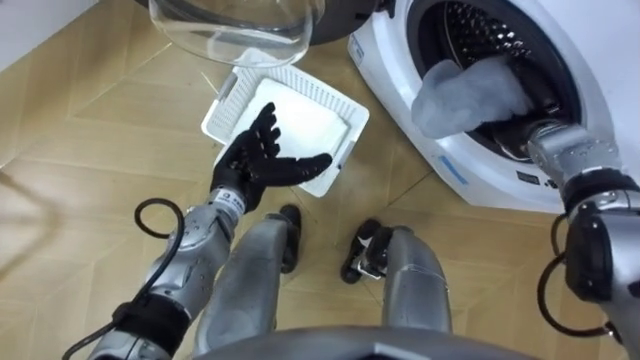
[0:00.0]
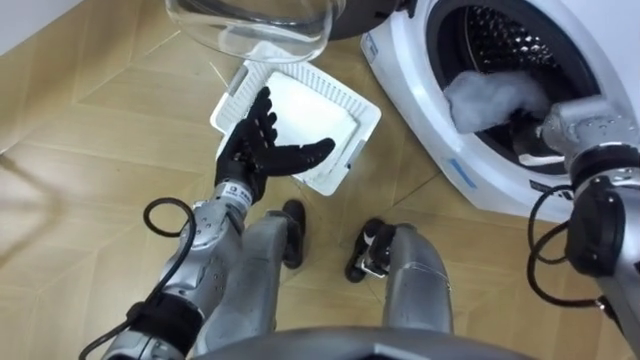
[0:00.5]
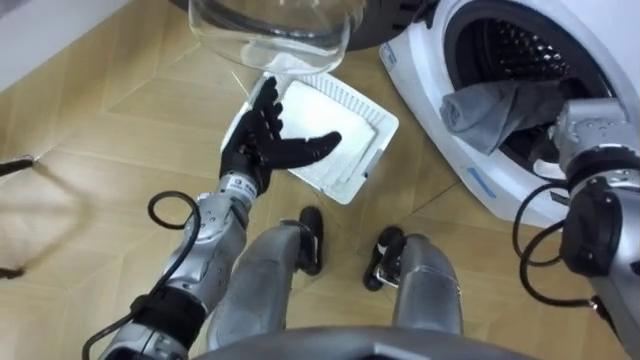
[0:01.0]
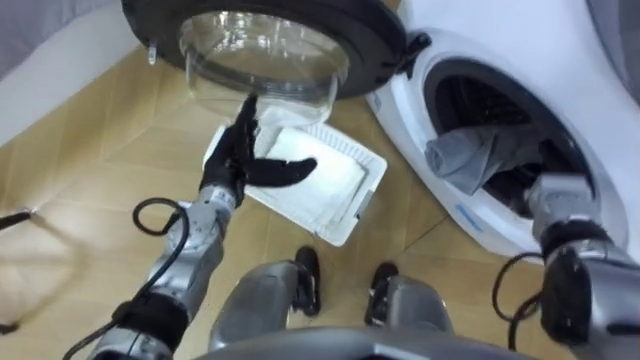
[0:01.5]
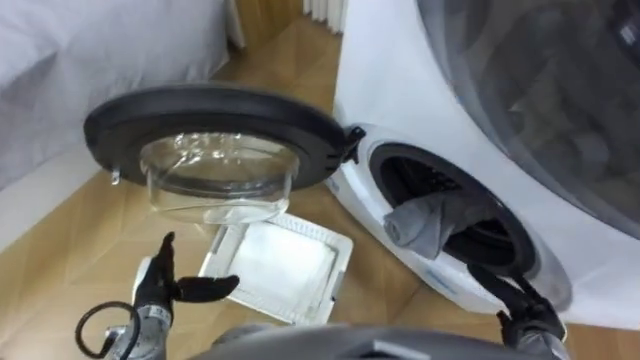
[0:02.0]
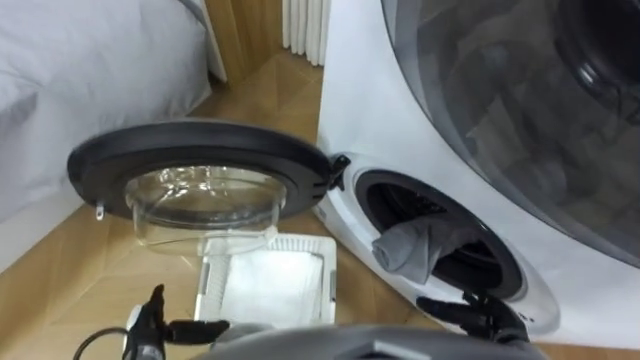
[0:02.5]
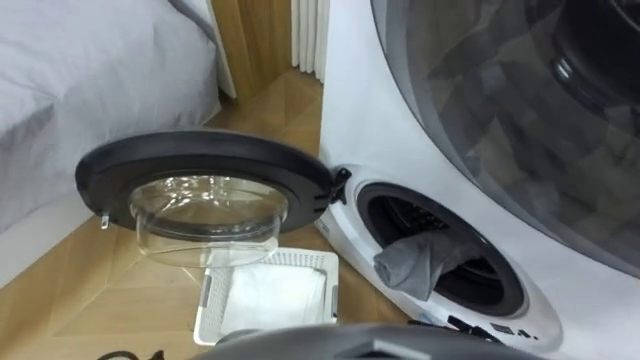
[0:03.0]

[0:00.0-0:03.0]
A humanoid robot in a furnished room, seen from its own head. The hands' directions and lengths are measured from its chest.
Task of the whole recording: Take the towel from the basket and put it into the washing machine.
0:00.0 to 0:01.5: The right hand travels backward and downward by approximately 10 cm, and opens its fingers.
0:01.5 to 0:03.0: The right hand goes roughly 25 cm backward, downward and to the left.

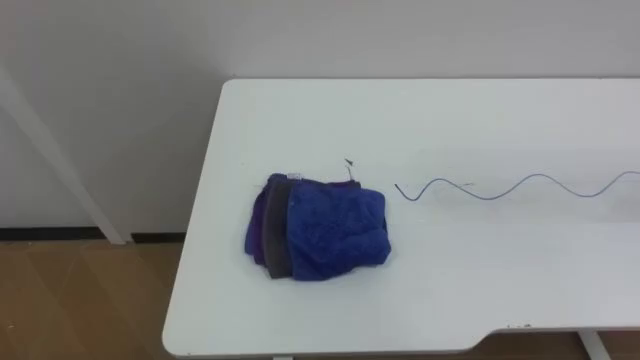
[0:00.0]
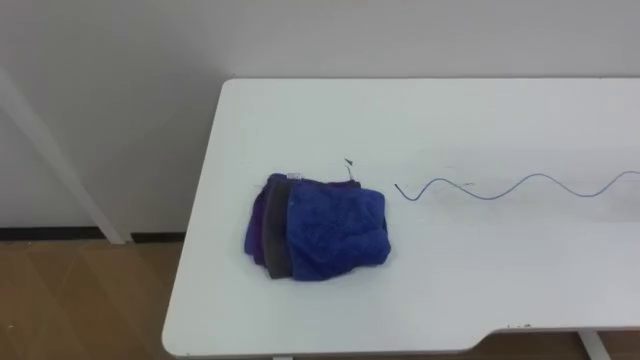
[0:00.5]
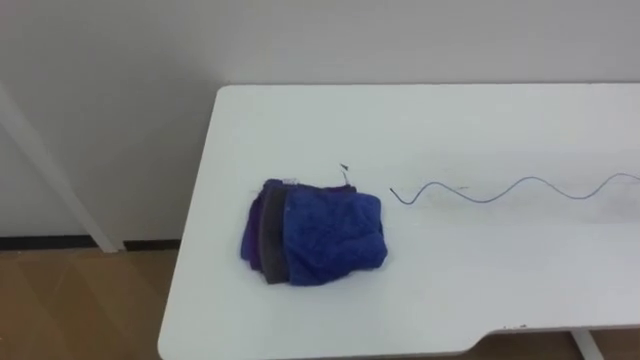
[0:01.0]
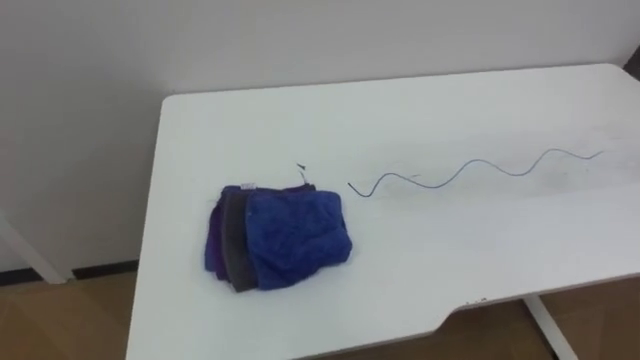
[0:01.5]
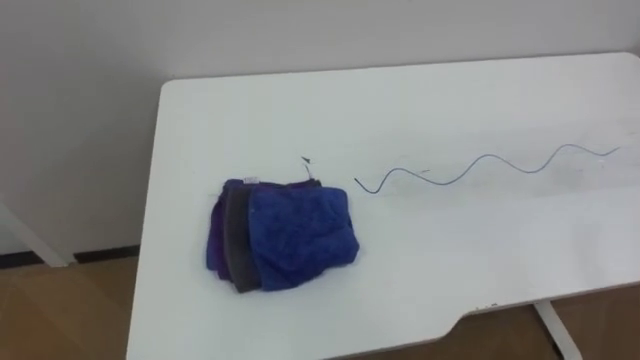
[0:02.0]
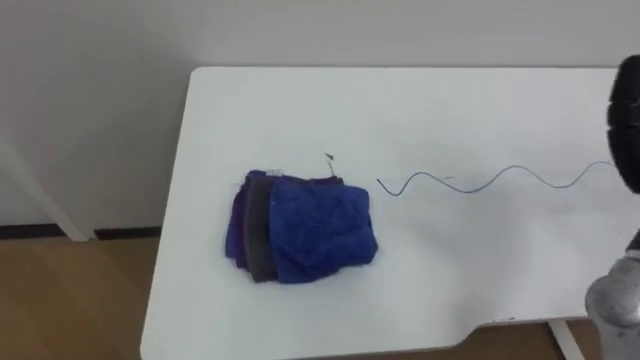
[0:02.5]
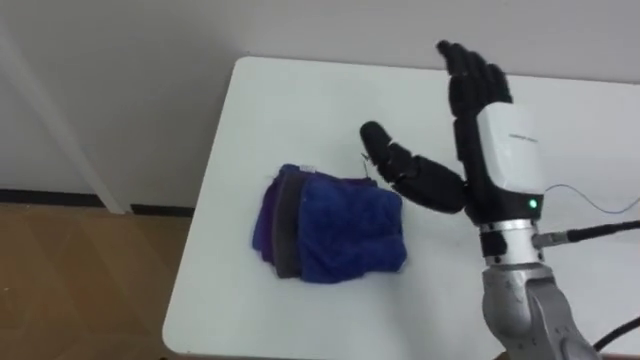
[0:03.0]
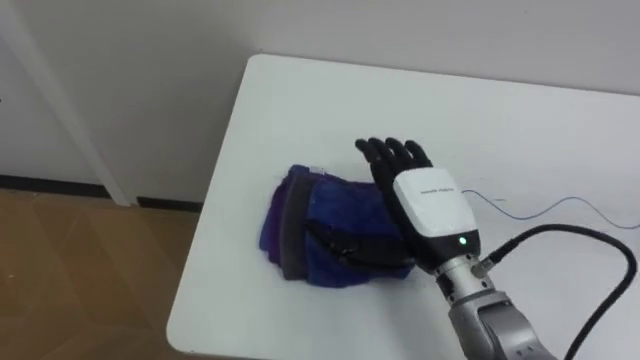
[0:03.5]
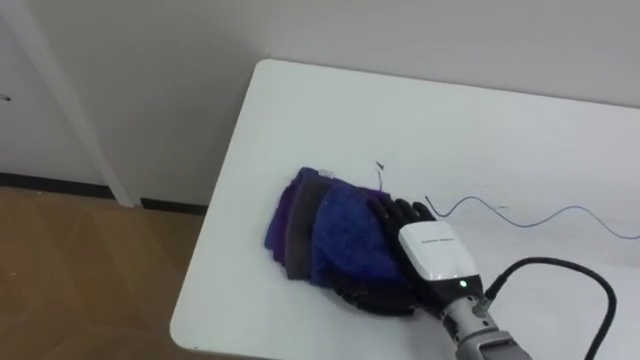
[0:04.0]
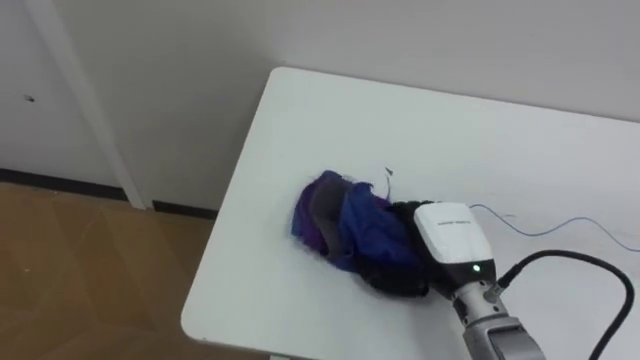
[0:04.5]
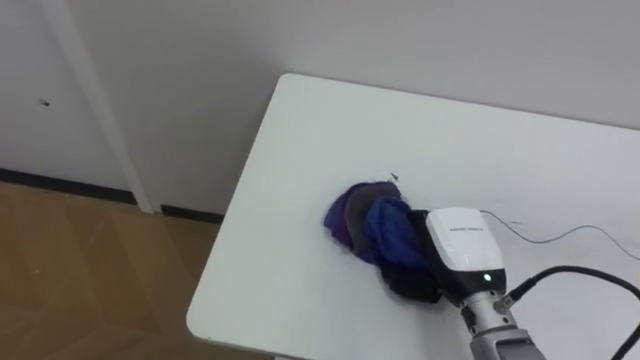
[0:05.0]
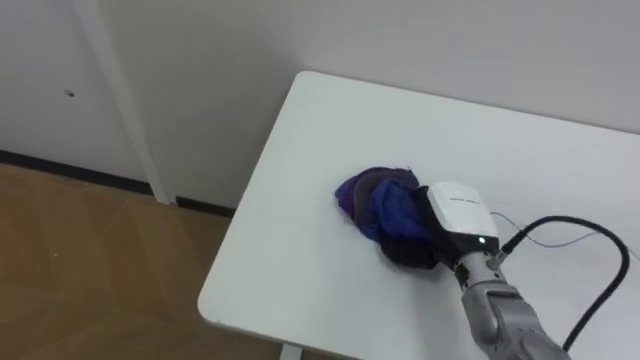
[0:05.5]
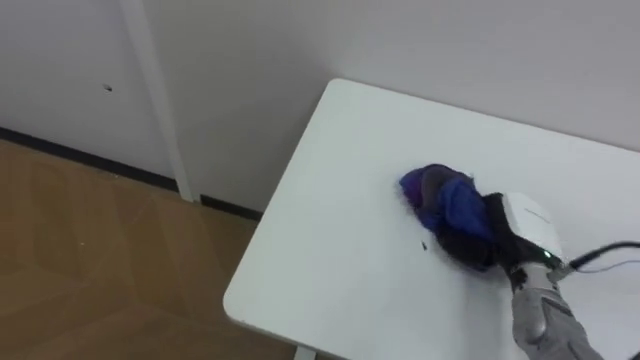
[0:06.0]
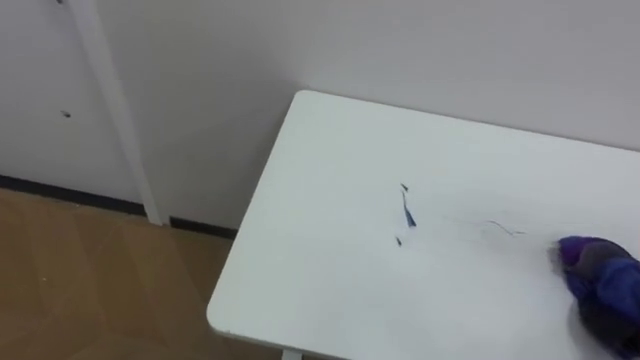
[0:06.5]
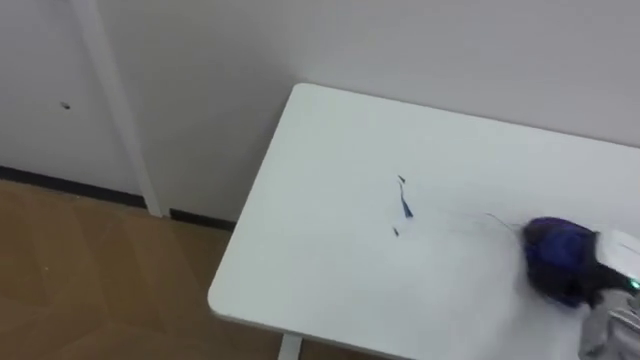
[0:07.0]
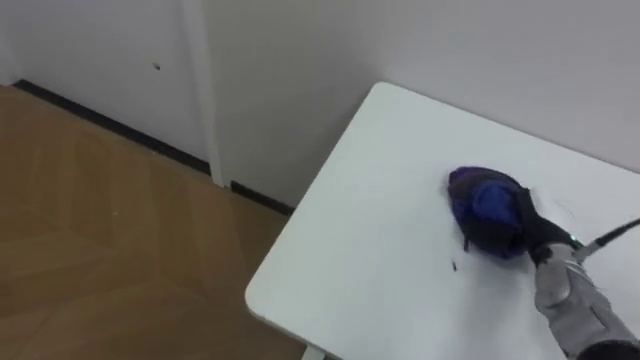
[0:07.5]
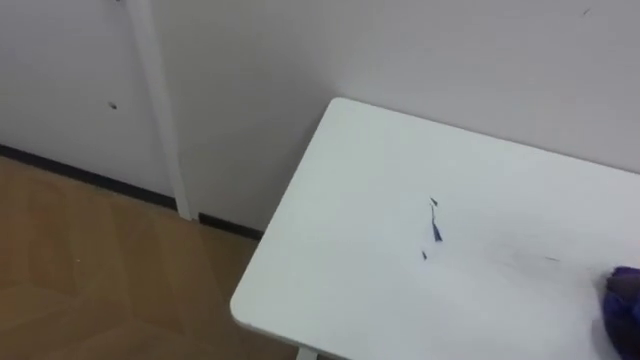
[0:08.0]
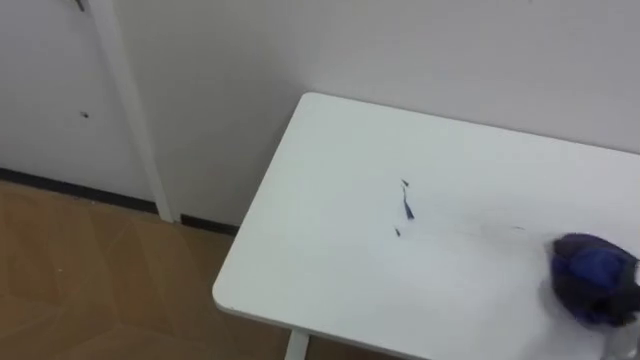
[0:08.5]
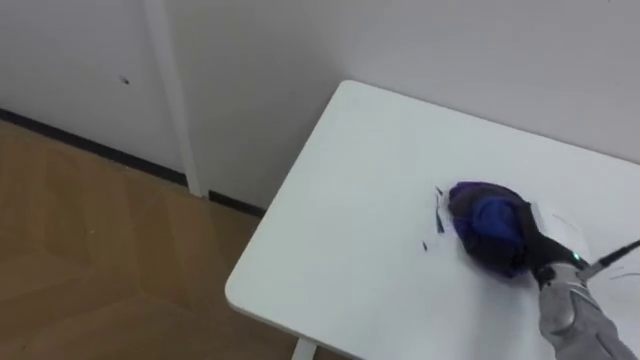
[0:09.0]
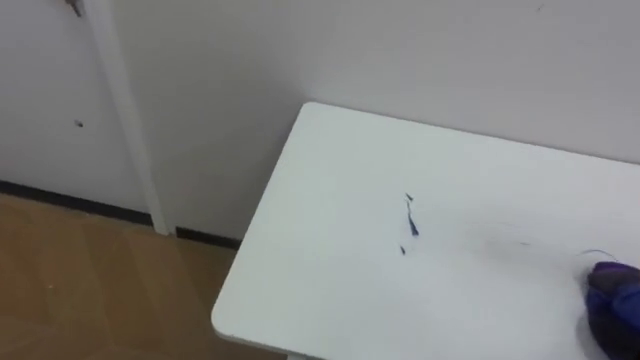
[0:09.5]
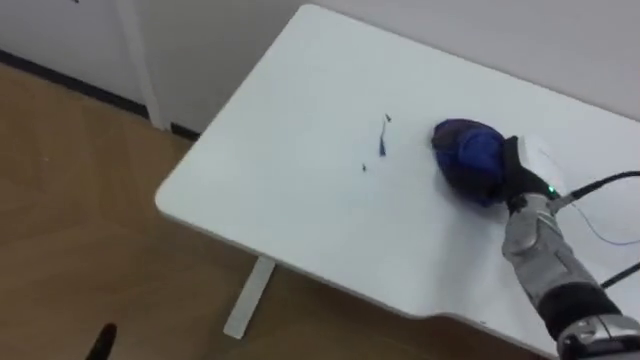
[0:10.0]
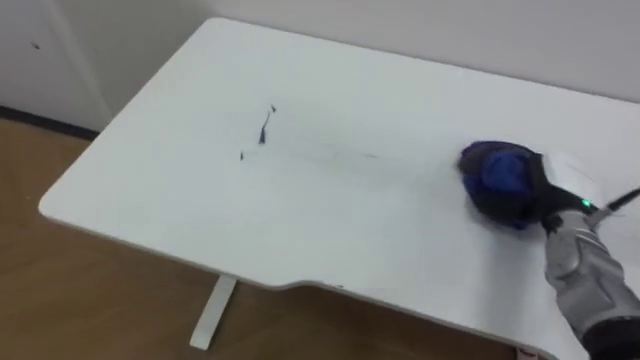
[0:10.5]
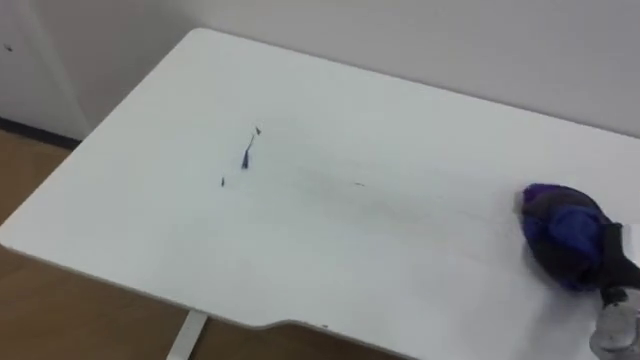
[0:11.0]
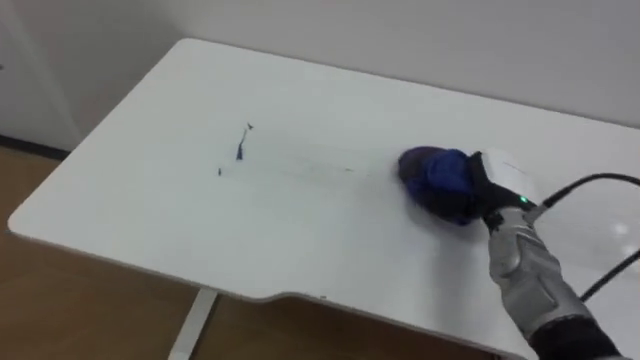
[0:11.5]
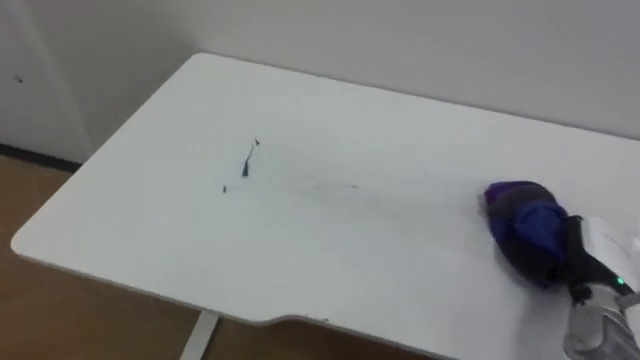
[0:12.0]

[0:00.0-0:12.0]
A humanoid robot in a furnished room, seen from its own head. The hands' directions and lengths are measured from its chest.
Task of the whole recording: Wipe the blue pen marks off the table with the rag.
0:04.0 to 0:06.0: The right hand shifts some 10 cm to the right, and closes its fingers.
0:10.0 to 0:12.0: The right hand swings left and right, some 10 cm each way, with 2 reversals.

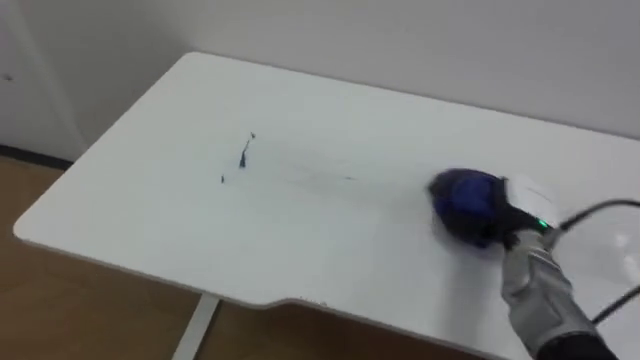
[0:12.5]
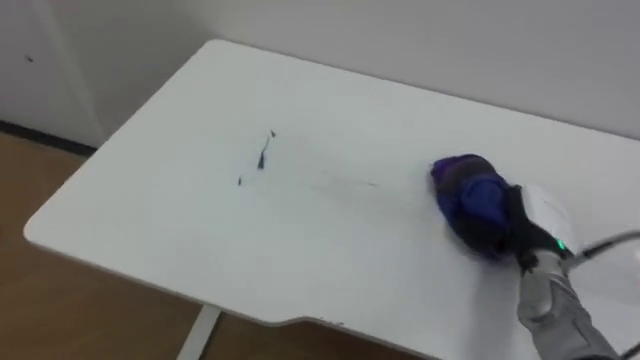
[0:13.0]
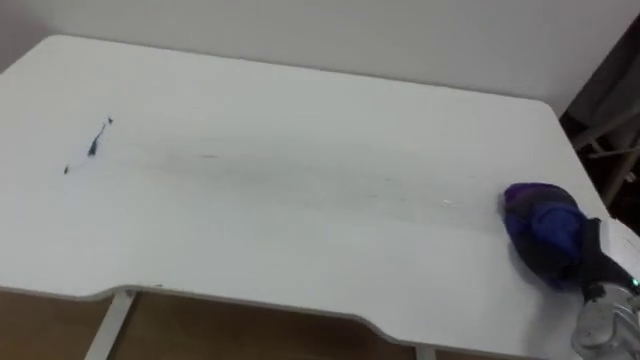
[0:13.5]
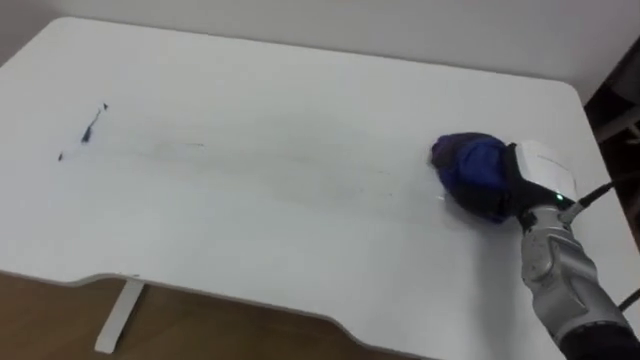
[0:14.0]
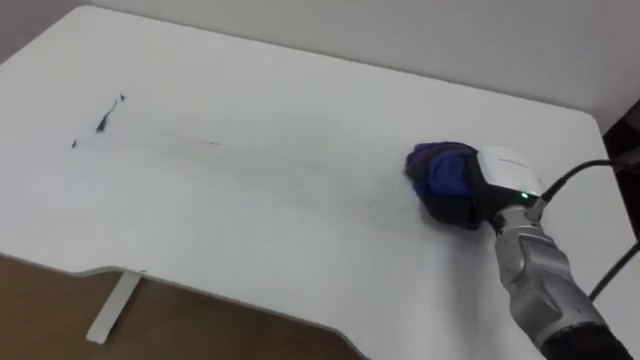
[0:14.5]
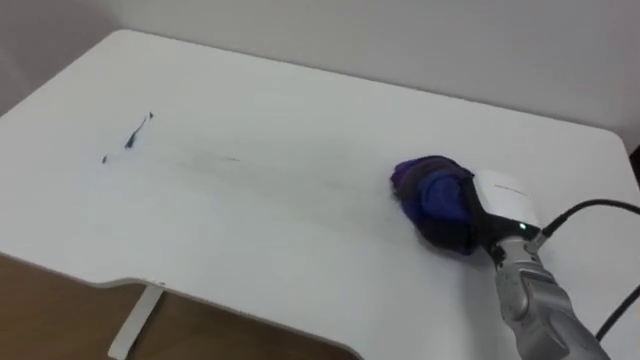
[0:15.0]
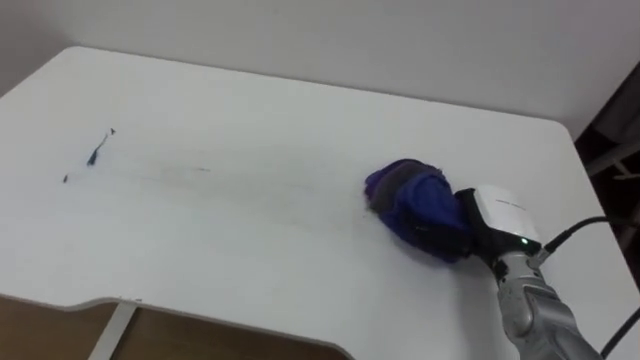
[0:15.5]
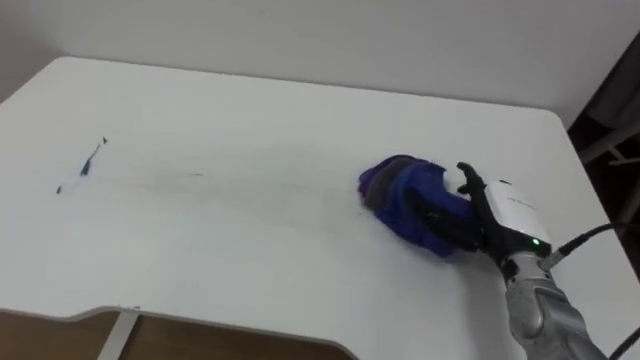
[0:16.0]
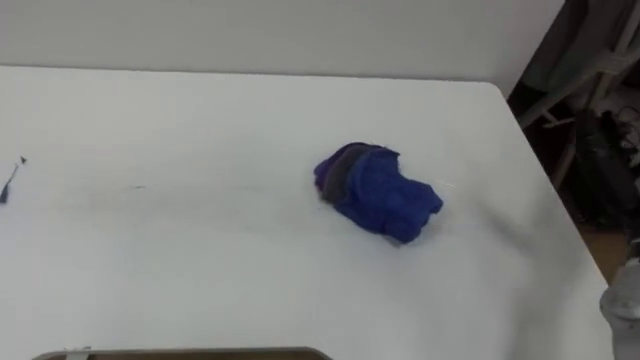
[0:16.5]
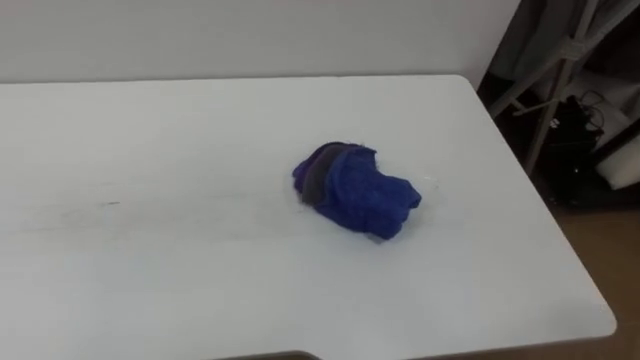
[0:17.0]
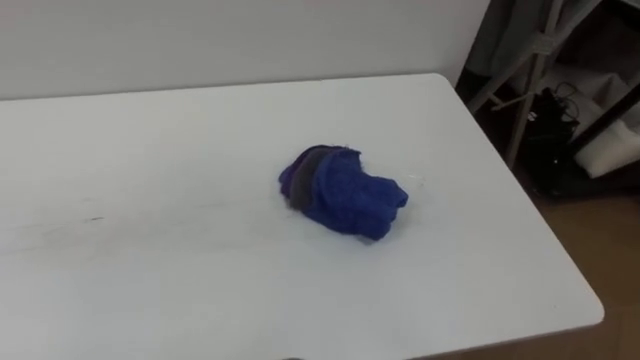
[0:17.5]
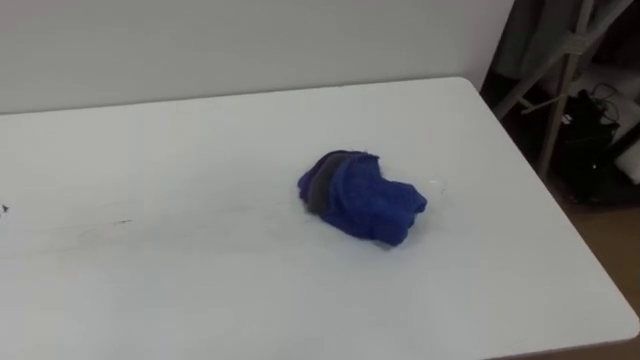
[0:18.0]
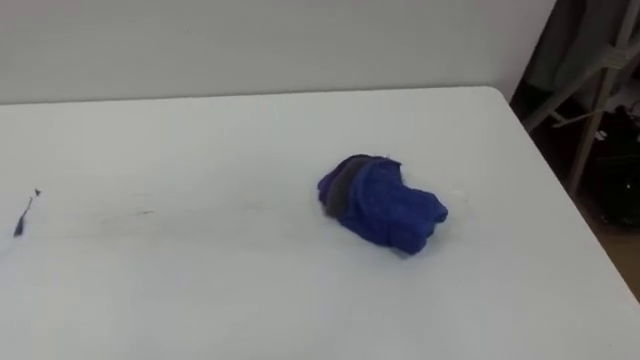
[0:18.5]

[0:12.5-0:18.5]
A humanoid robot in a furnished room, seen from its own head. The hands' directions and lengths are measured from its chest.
Task of the whole recording: Wipe the blue pen marks off the table with the rag.
0:12.5 to 0:14.5: The right hand shifts by some 10 cm.
